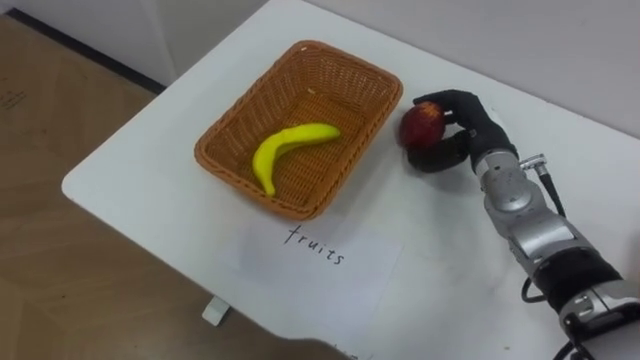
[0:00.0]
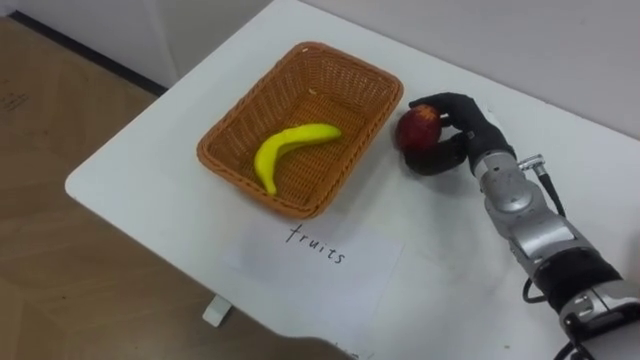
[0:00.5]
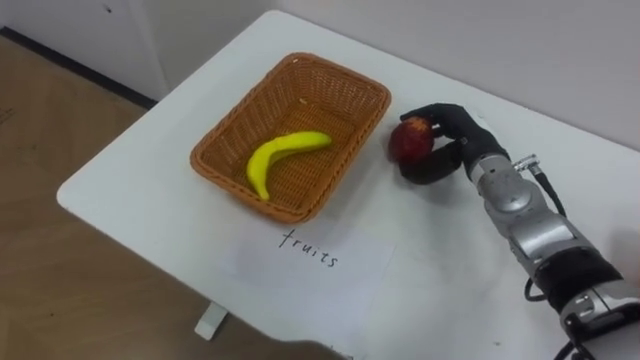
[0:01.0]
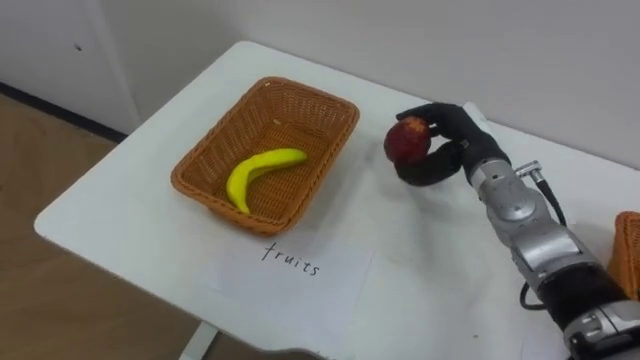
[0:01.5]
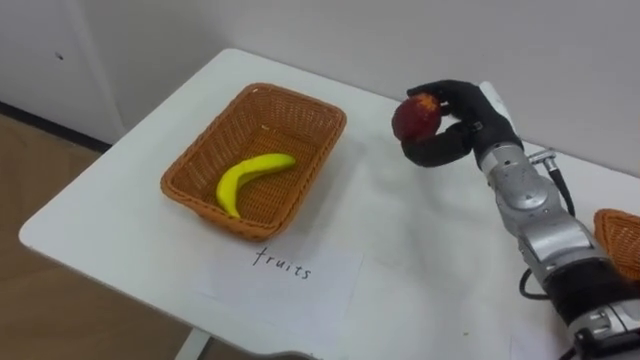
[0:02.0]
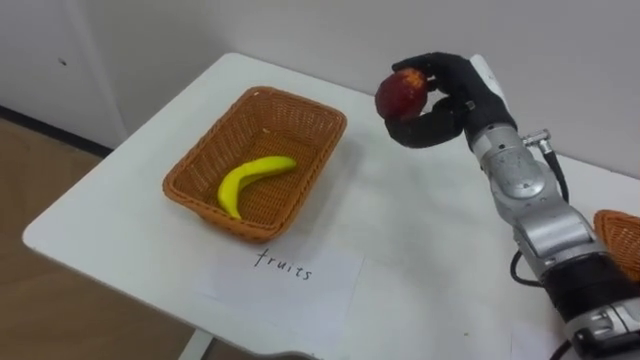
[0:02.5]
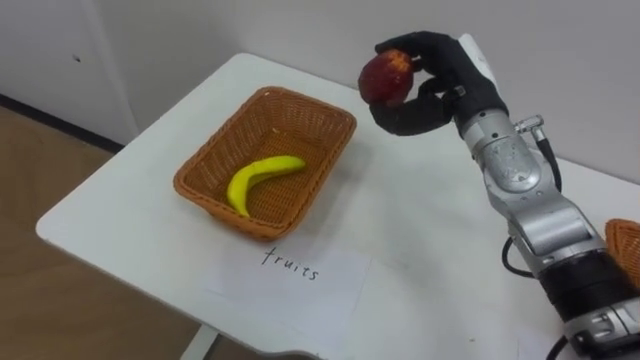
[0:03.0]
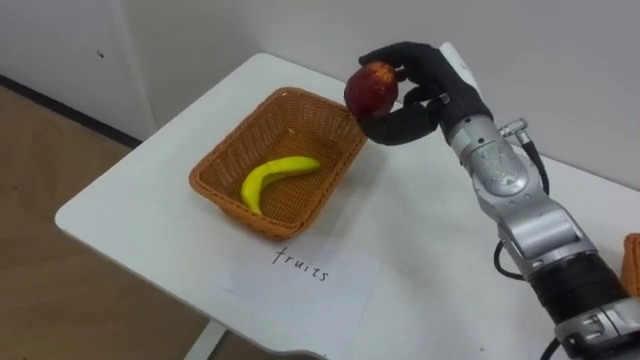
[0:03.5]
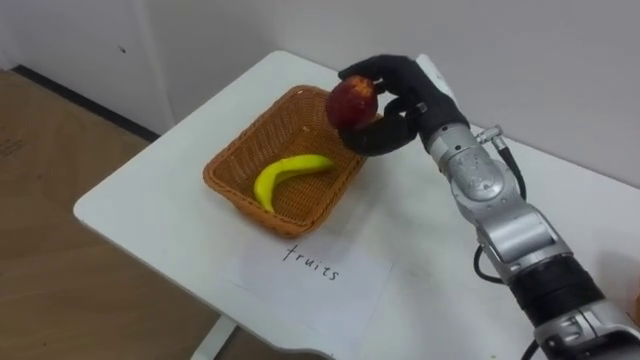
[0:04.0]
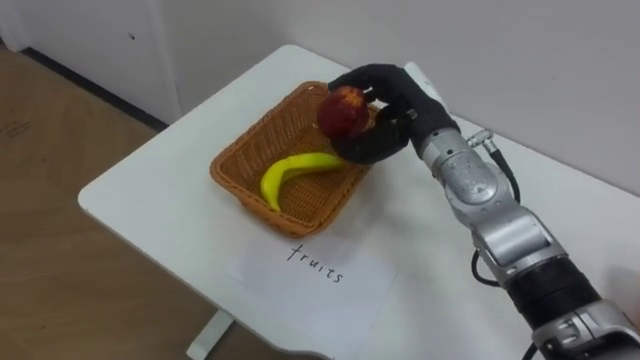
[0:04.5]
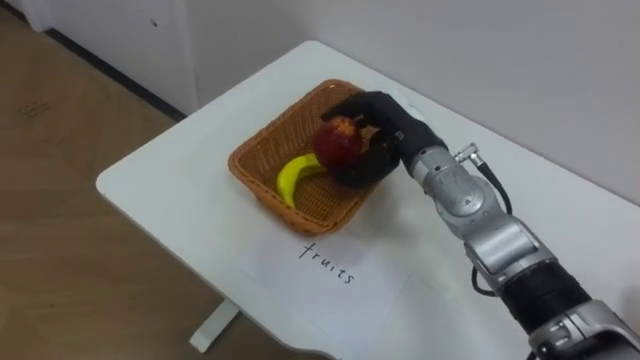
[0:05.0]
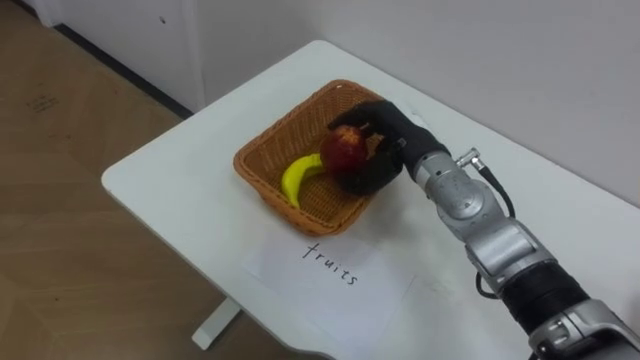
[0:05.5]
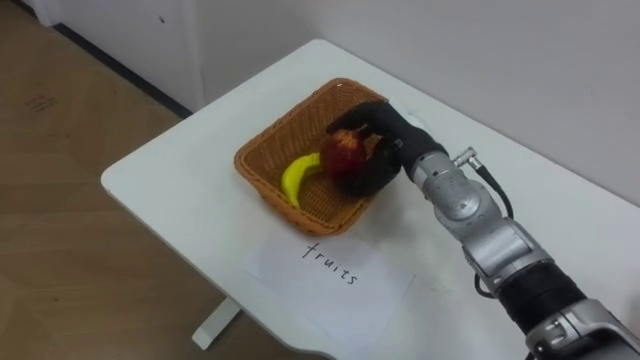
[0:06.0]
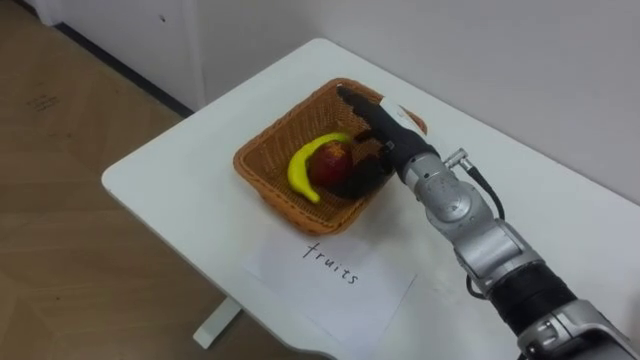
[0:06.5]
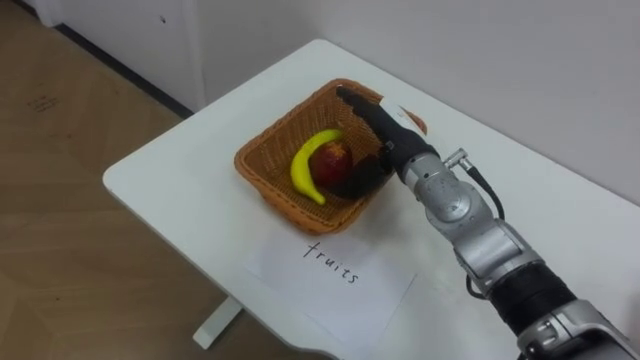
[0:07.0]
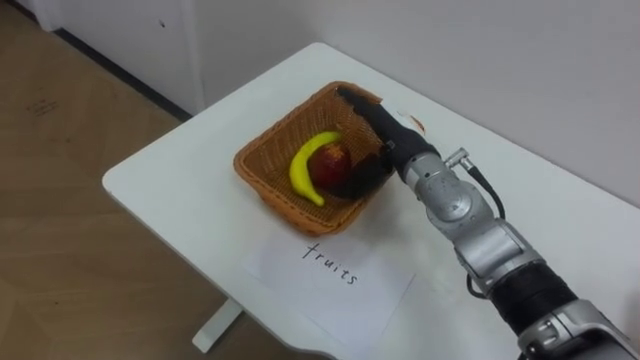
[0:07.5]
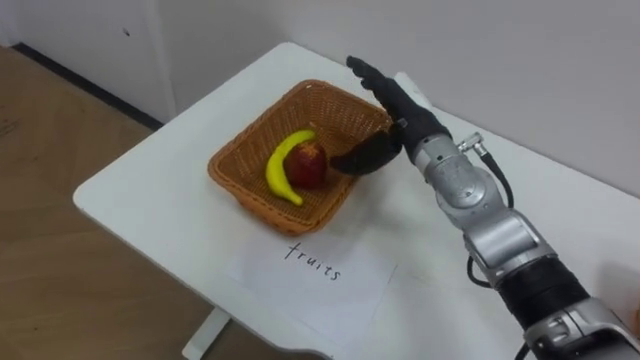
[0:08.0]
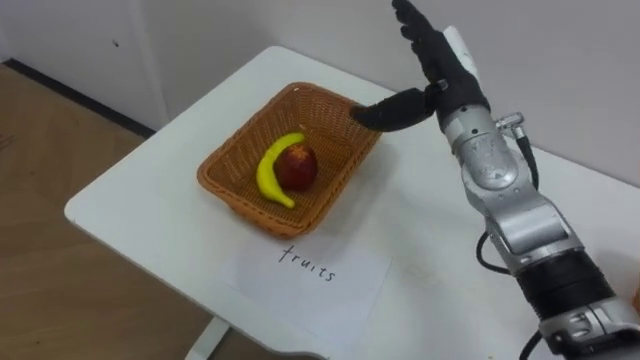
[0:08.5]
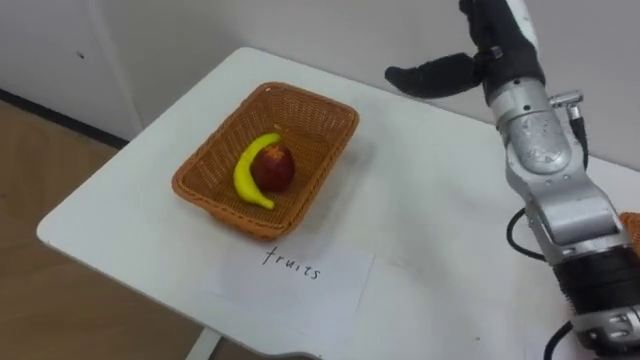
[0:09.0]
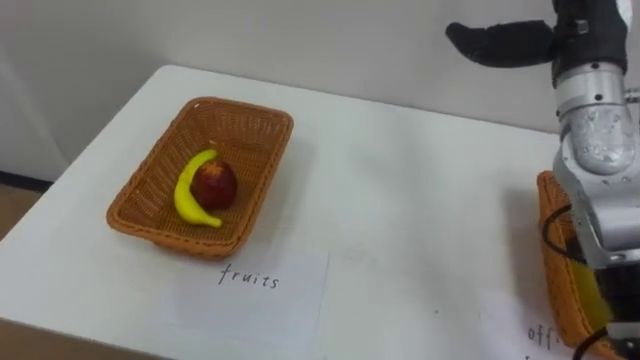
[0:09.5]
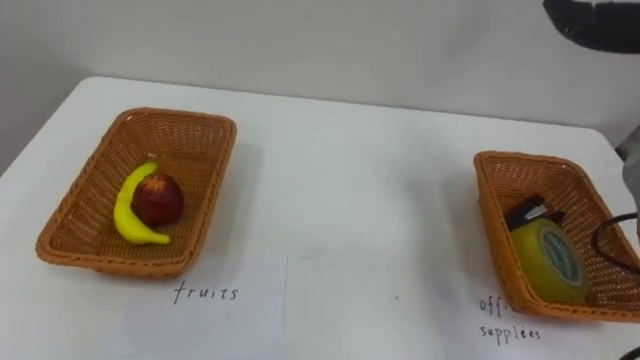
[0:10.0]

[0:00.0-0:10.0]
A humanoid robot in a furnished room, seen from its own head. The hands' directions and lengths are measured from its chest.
Task of the whole recording: Separate the items on the table and place them into the two baskets.
0:02.0 to 0:04.0: The right hand shifts some 10 cm to the left.
0:04.0 to 0:06.0: The right hand moves downward, roughly 5 cm.
0:06.0 to 0:08.0: The right hand opens.

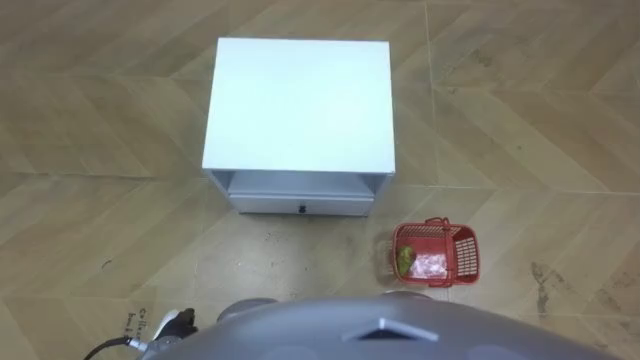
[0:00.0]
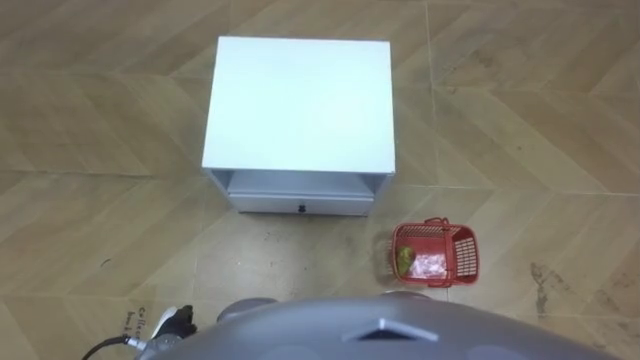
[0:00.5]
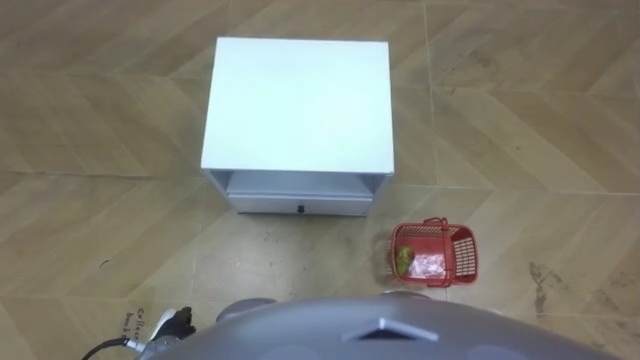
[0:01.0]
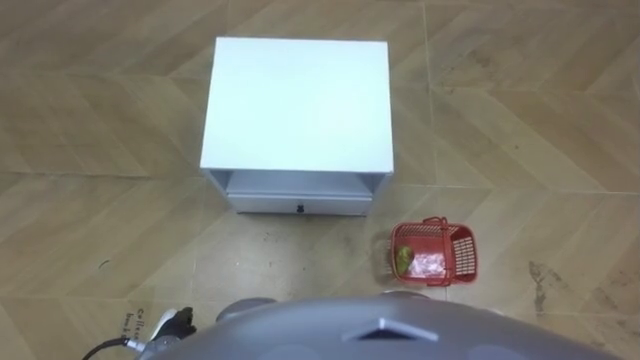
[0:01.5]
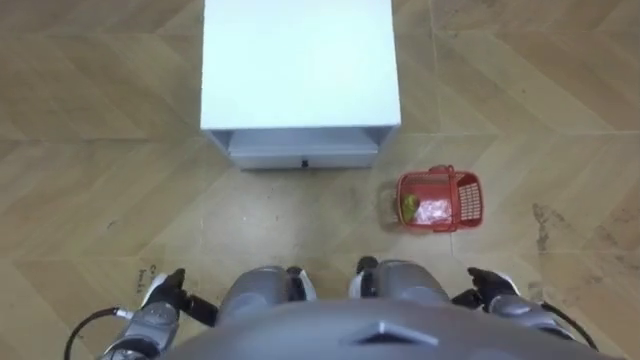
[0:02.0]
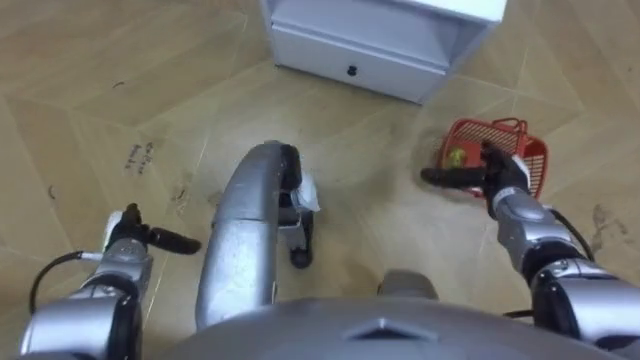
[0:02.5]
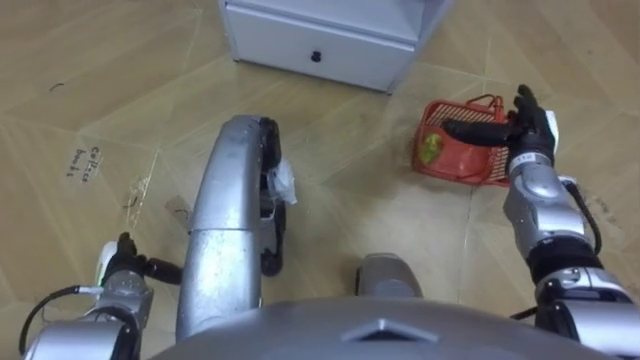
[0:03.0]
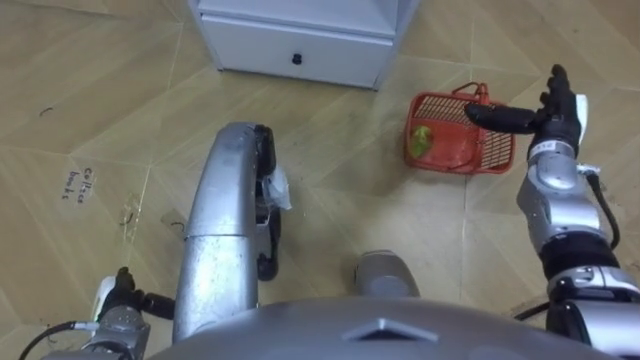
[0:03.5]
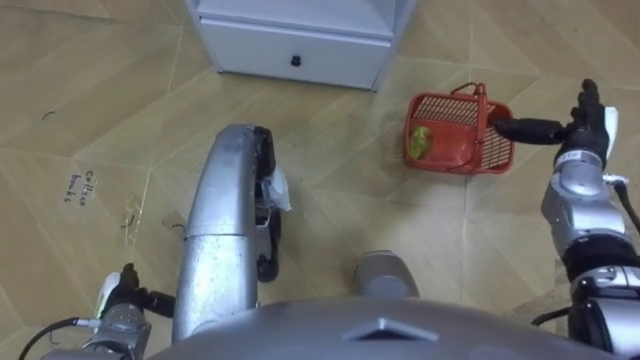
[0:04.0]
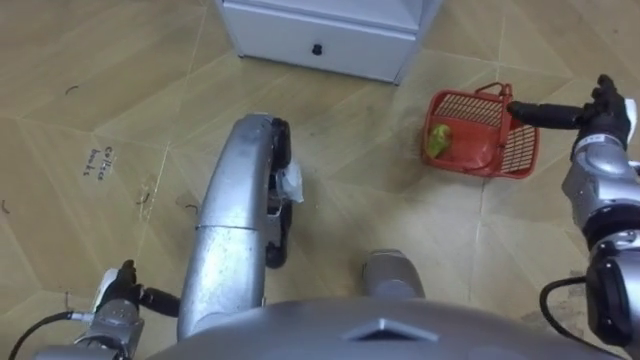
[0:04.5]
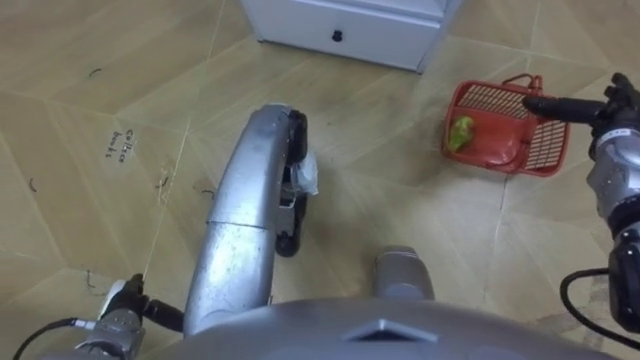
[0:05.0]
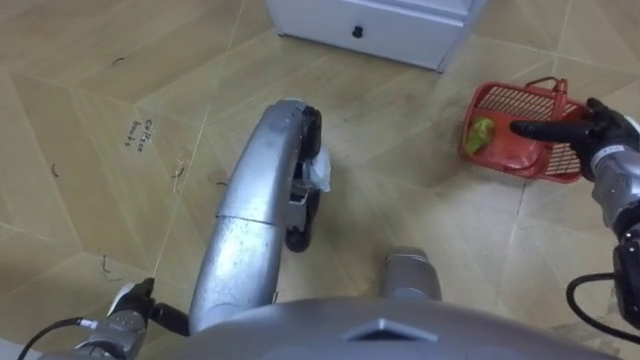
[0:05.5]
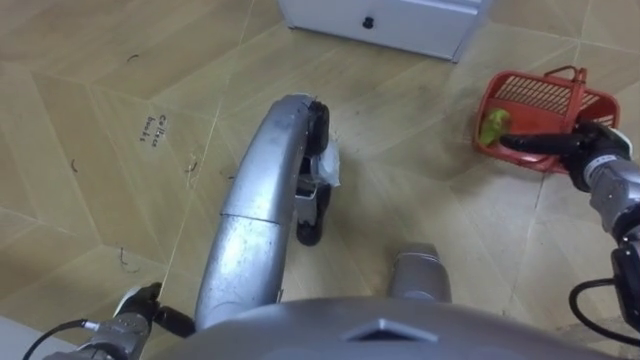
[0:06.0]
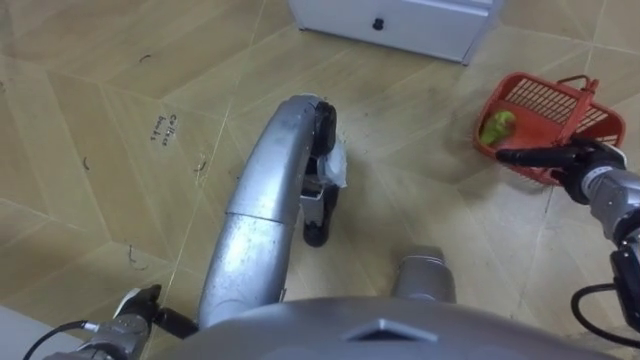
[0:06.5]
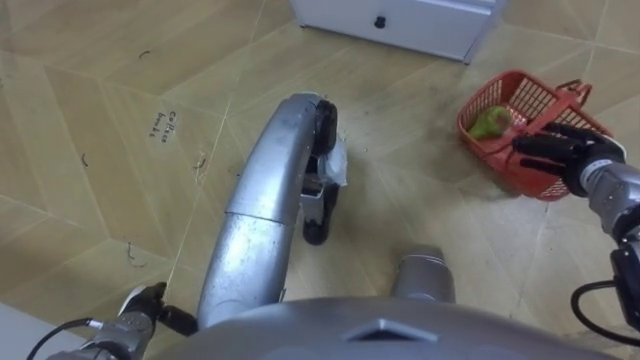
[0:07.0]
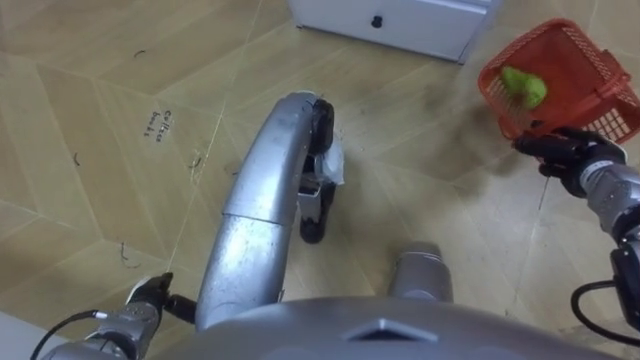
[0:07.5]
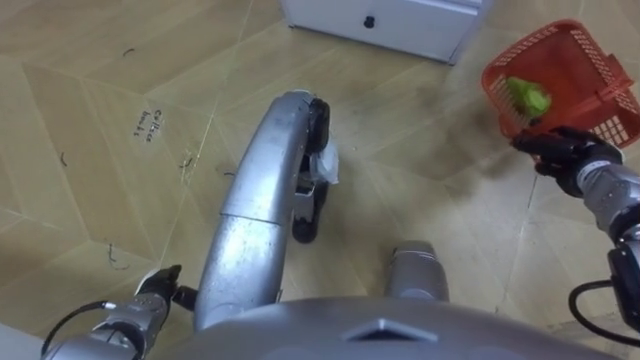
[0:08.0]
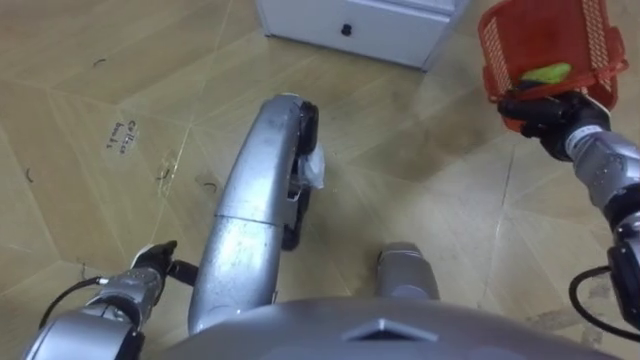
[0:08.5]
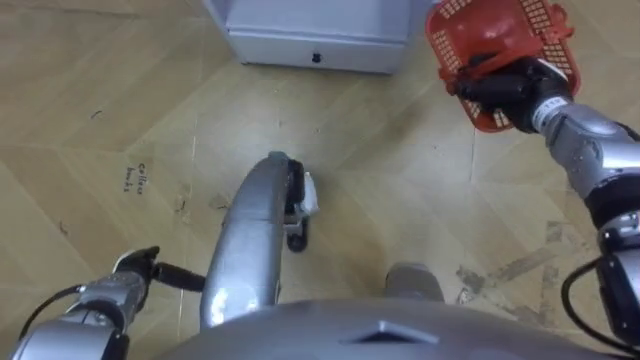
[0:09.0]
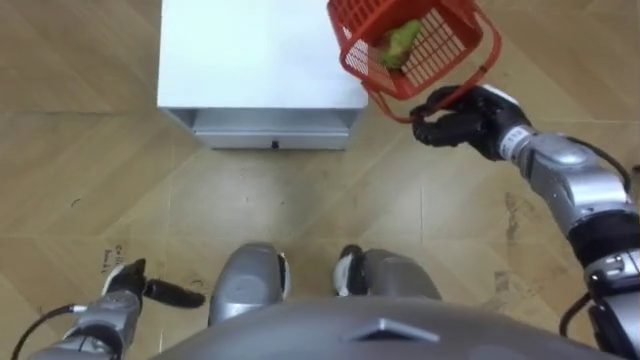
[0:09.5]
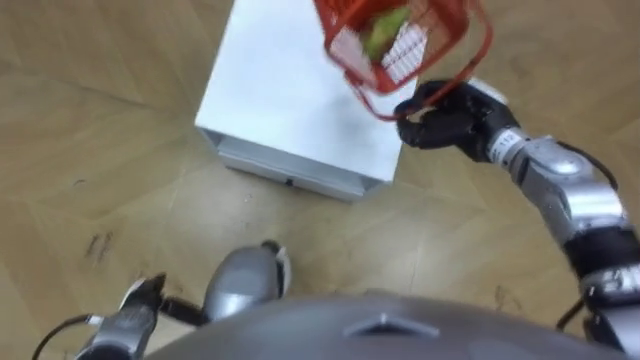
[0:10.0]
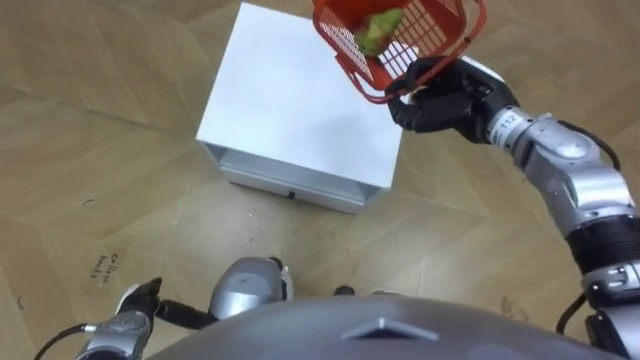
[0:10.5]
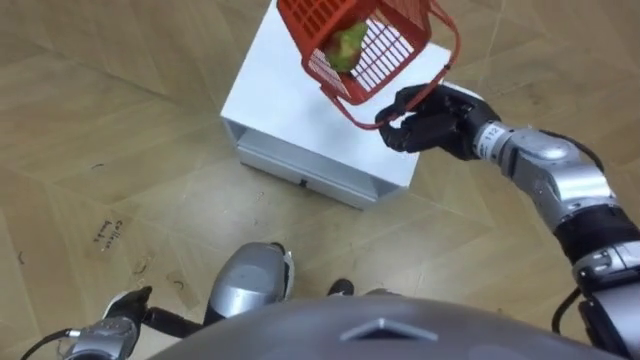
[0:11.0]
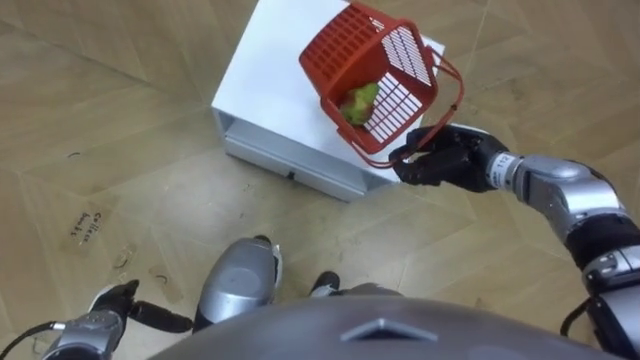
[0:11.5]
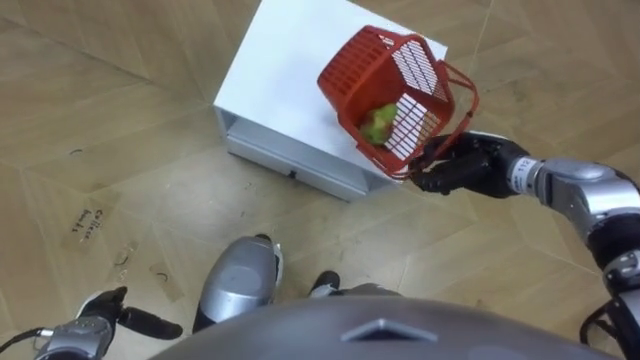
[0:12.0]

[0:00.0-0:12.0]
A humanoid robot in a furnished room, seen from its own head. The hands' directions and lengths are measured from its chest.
Task of the whole recording: Pick up the fruit basket from the floor and place it on the cabinet.
0:02.0 to 0:04.0: The left hand travels to the left by approximately 5 cm, and moves about 10 cm forward and comes back. The right hand heads forward and upward, covering approximately 25 cm.
0:06.0 to 0:08.0: The right hand closes.
0:08.0 to 0:10.0: The right hand goes about 15 cm to the left.
0:10.0 to 0:12.0: The left hand ends up about 5 cm from where it was, while the right hand heads downward, covering about 5 cm.
